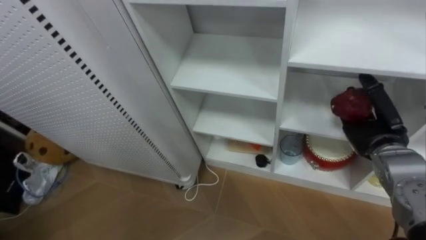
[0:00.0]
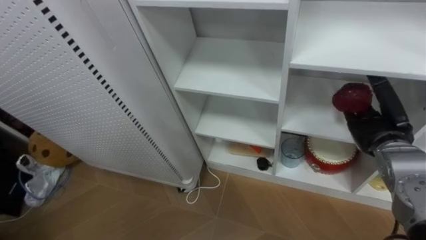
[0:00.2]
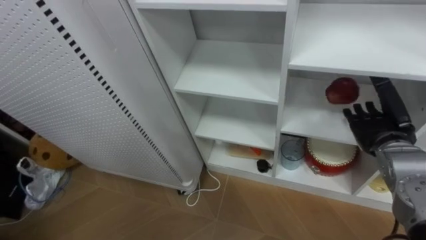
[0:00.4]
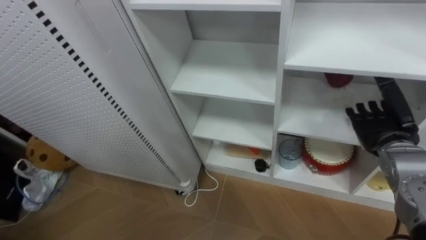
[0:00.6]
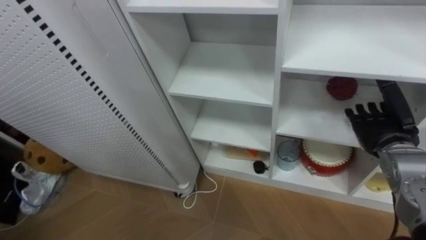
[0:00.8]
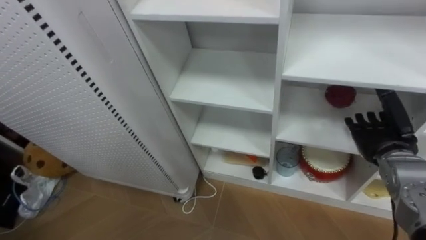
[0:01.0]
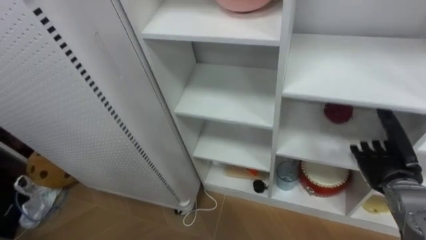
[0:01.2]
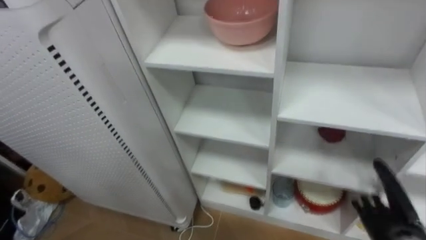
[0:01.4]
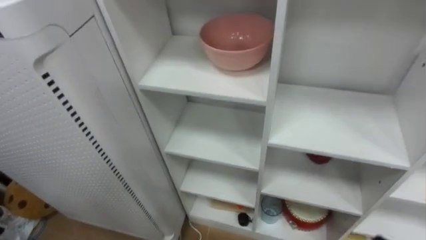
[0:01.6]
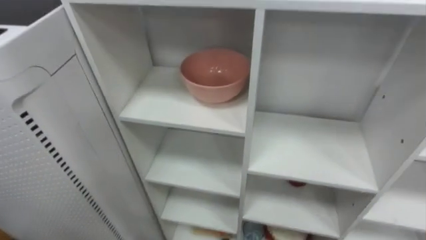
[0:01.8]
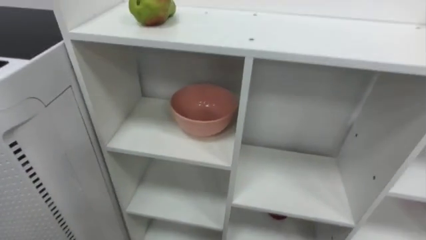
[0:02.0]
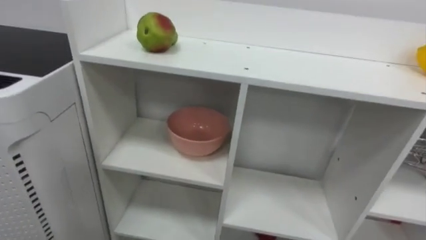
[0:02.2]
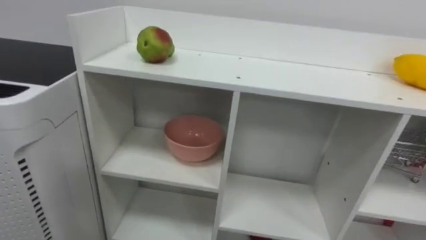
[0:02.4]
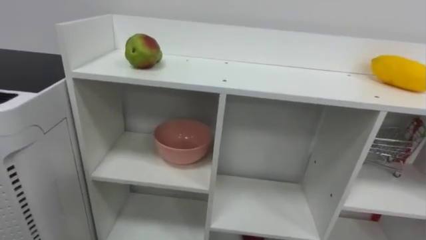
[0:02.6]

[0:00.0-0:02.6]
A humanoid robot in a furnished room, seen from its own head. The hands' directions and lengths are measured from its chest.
Task of the whole recording: Put the apple in the cell in the second column from the left and the second row from the top.
0:00.0 to 0:01.2: The right hand shifts roughly 5 cm downward.
